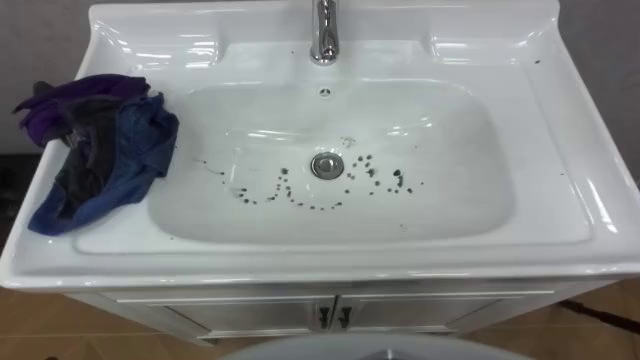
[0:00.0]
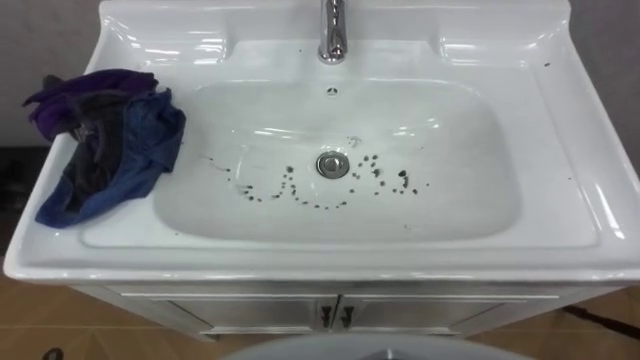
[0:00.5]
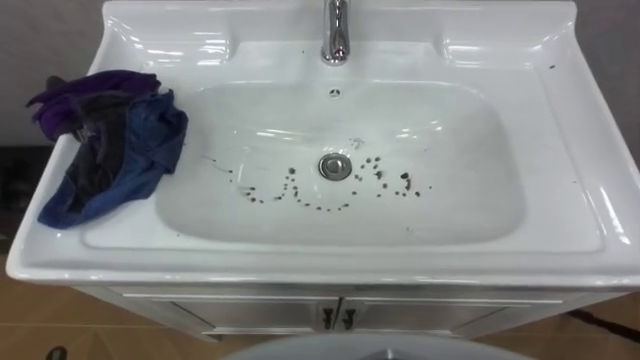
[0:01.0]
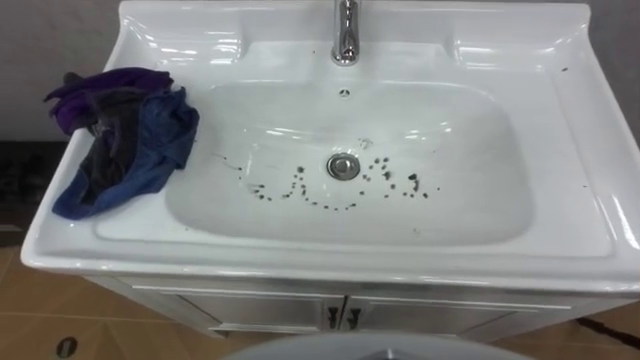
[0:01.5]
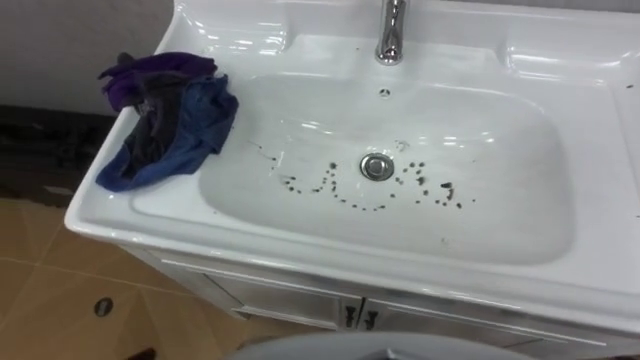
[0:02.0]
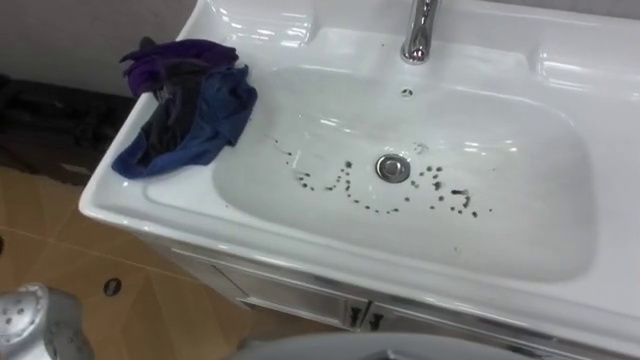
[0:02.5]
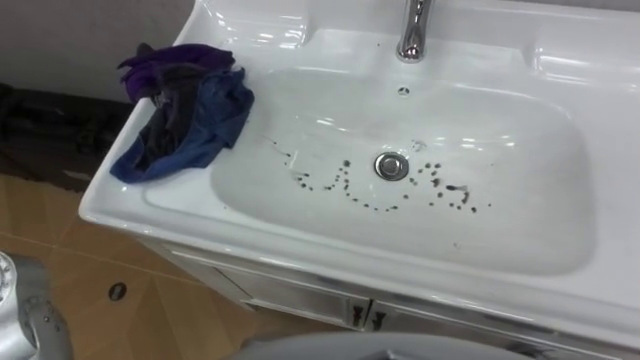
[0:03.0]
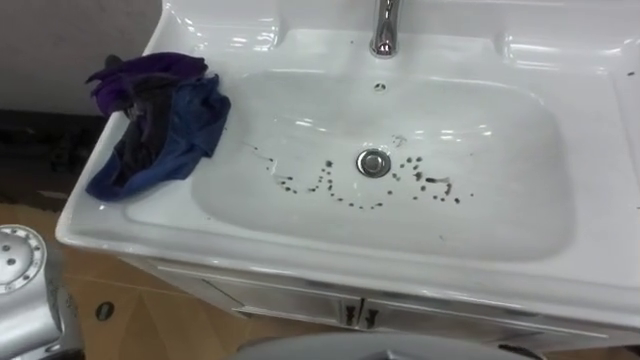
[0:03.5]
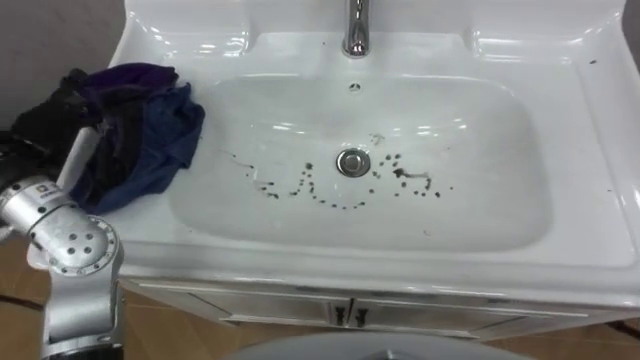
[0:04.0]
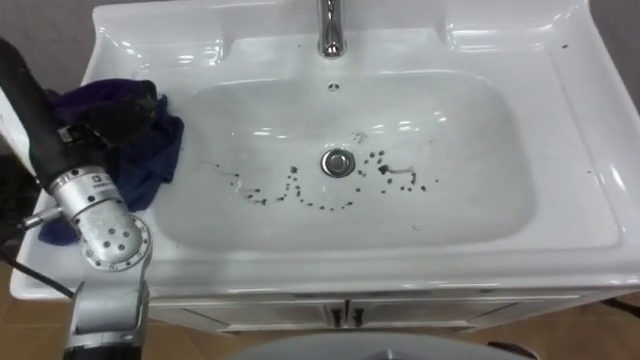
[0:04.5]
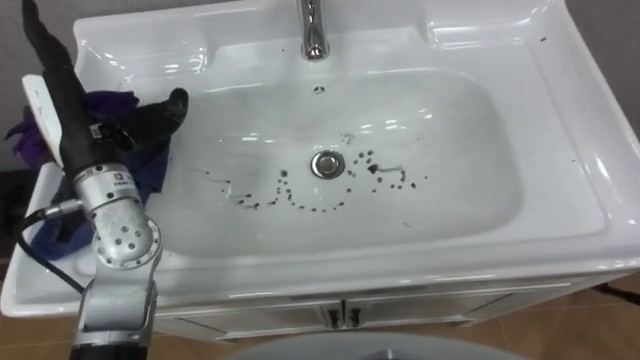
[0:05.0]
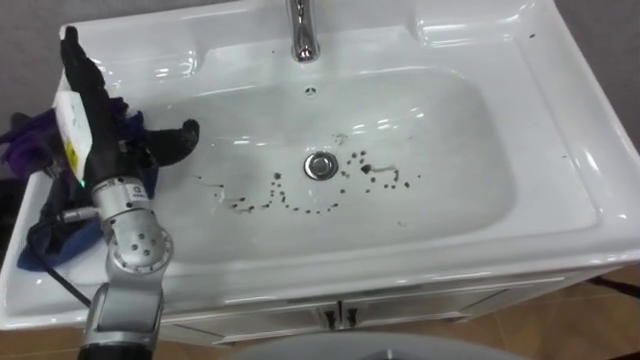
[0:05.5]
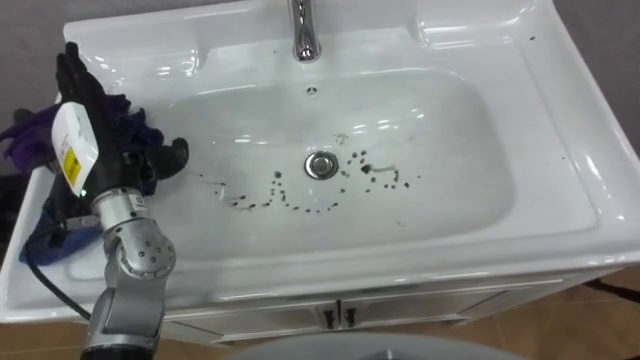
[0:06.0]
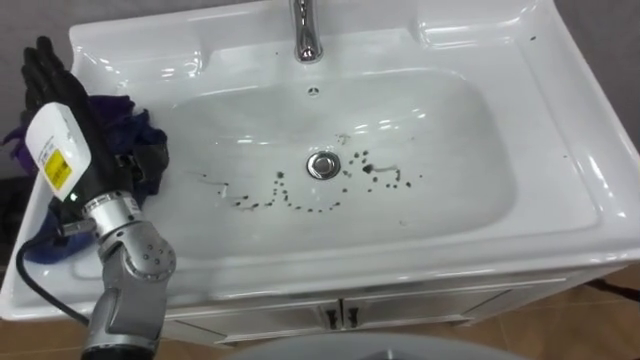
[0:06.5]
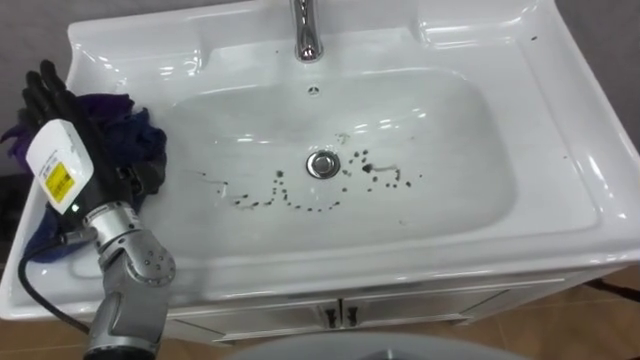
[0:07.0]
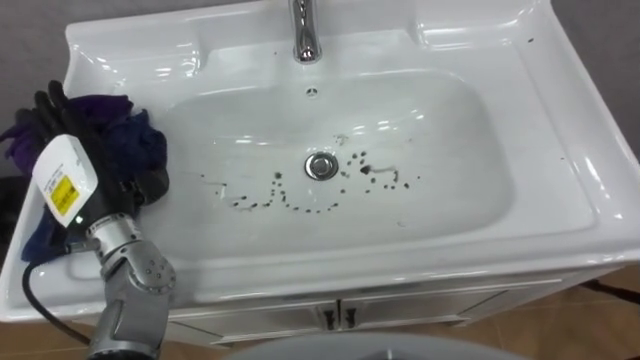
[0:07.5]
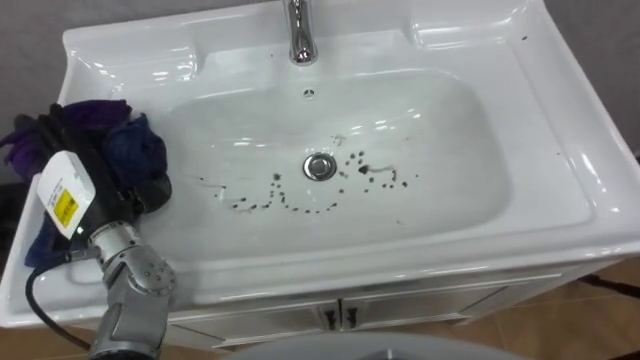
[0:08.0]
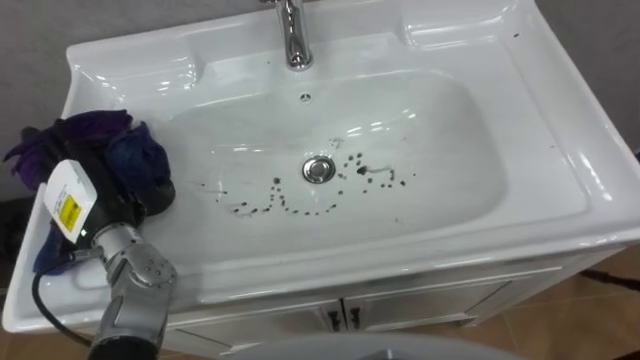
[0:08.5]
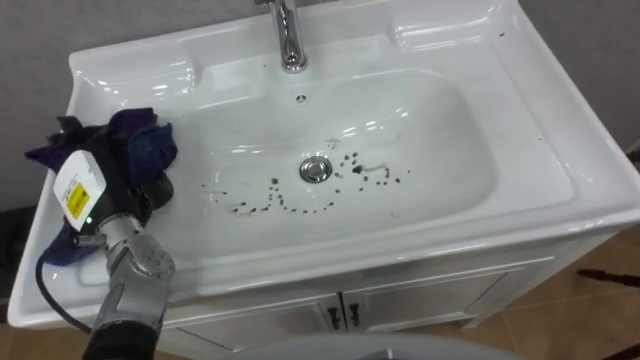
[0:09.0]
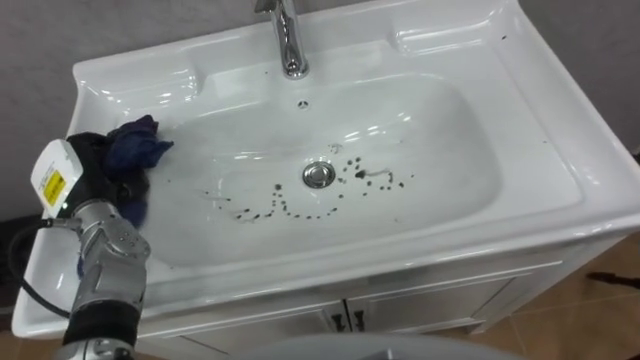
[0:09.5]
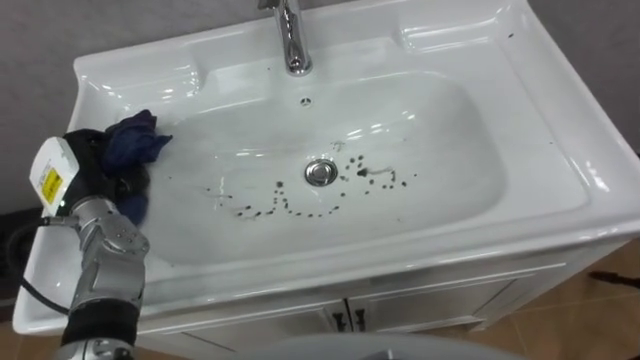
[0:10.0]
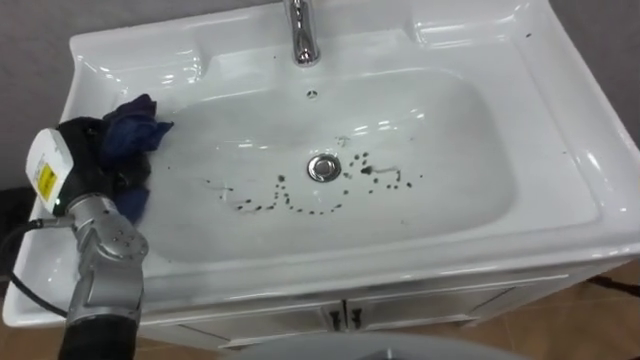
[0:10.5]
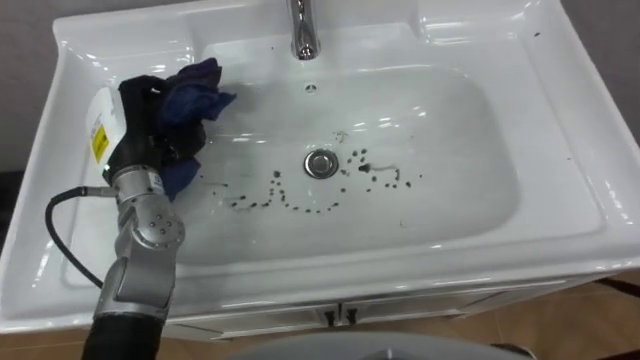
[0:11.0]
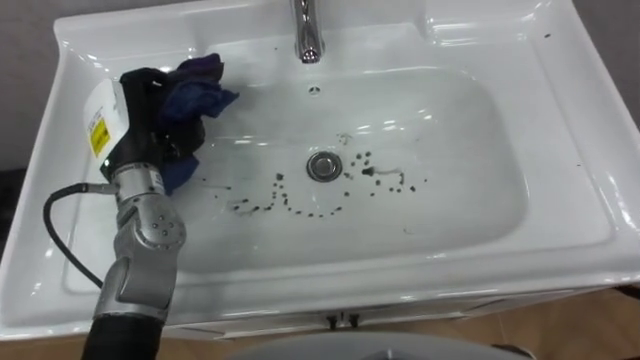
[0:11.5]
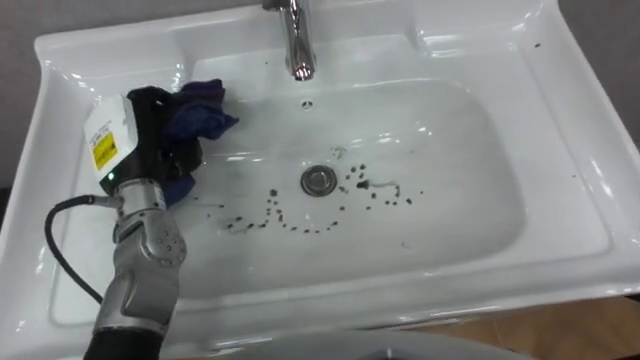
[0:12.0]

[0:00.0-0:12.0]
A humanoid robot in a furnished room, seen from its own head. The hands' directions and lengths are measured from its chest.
Task of the whole recording: Use the cloth on the right to wipe away the black stain in the sink.
0:06.0 to 0:08.0: The left hand travels downward by approximately 5 cm.
0:08.0 to 0:10.0: The left hand shifts by some 5 cm, and closes up.
0:10.0 to 0:12.0: The left hand shifts approximately 10 cm to the right and upward.

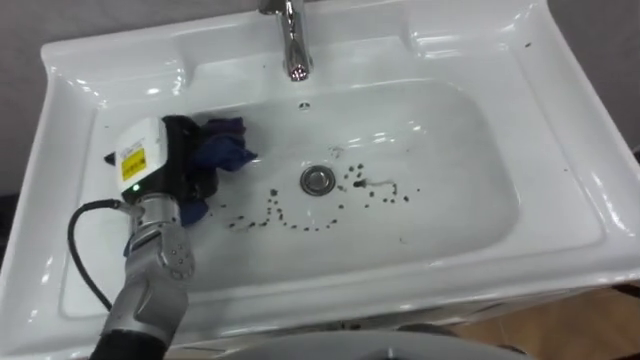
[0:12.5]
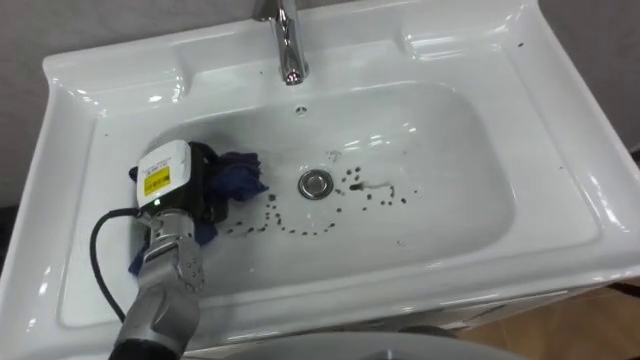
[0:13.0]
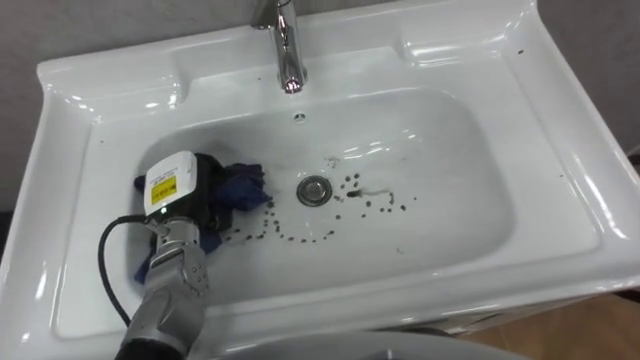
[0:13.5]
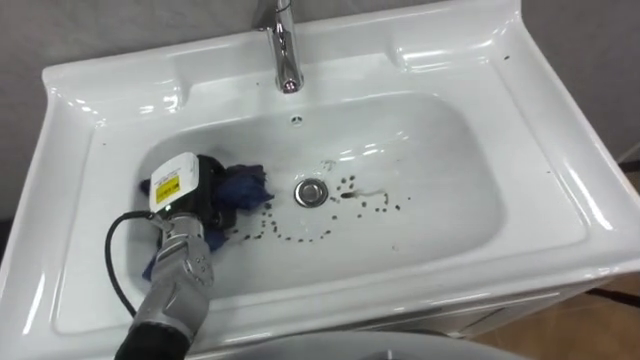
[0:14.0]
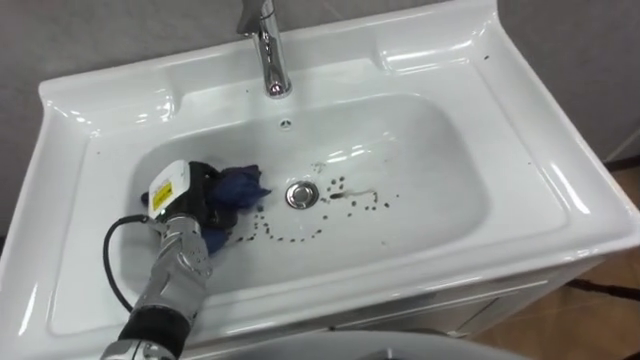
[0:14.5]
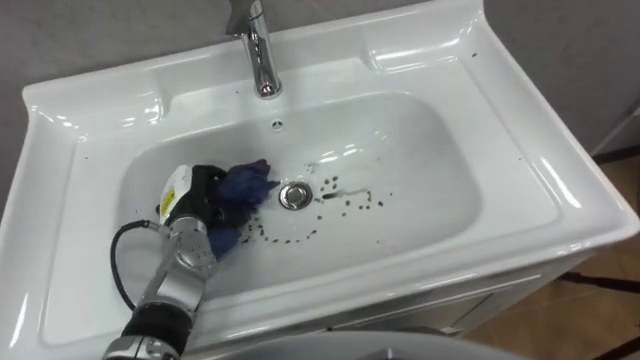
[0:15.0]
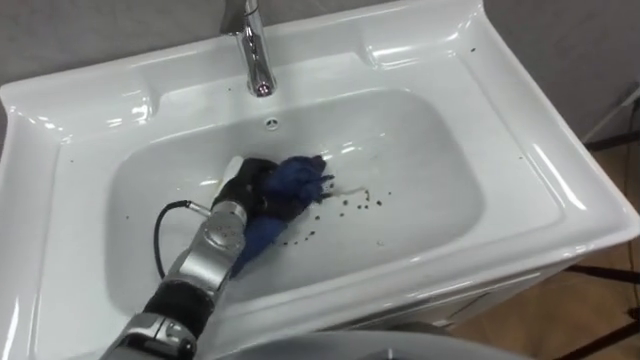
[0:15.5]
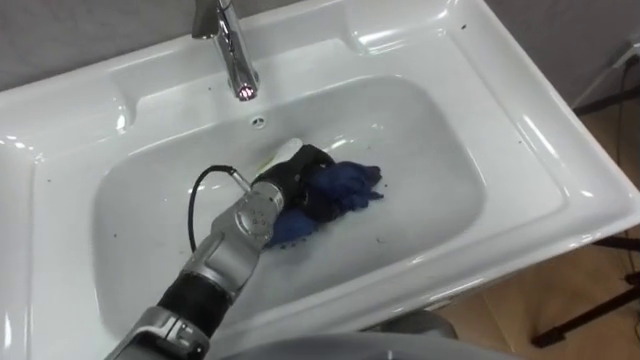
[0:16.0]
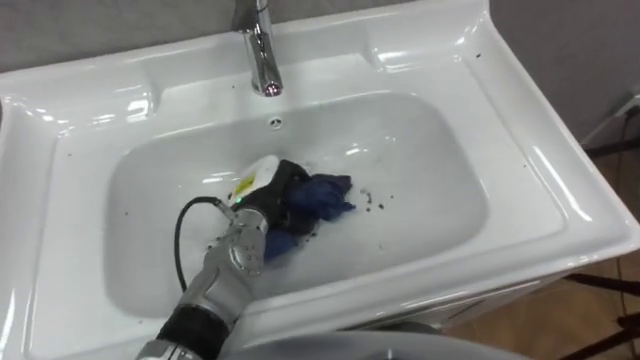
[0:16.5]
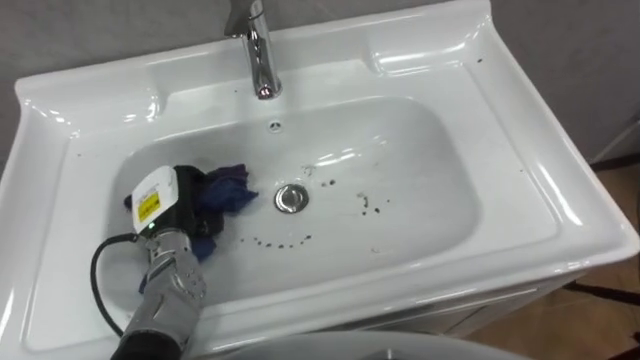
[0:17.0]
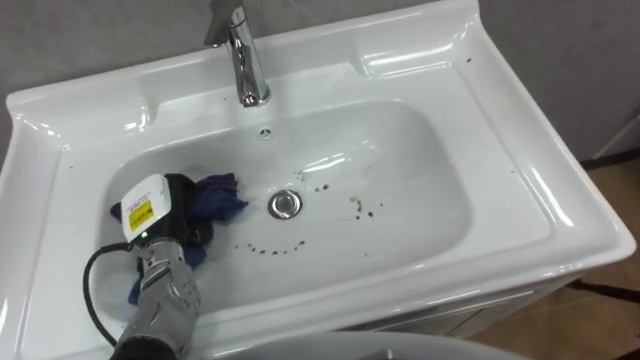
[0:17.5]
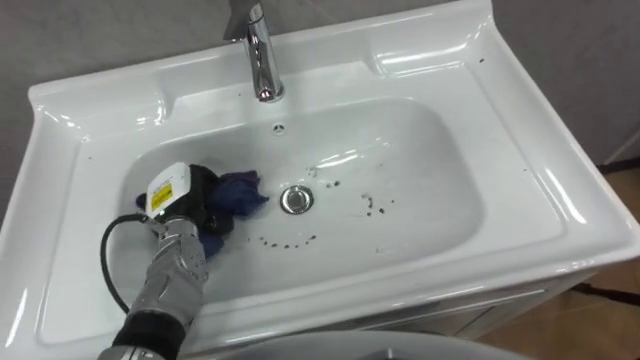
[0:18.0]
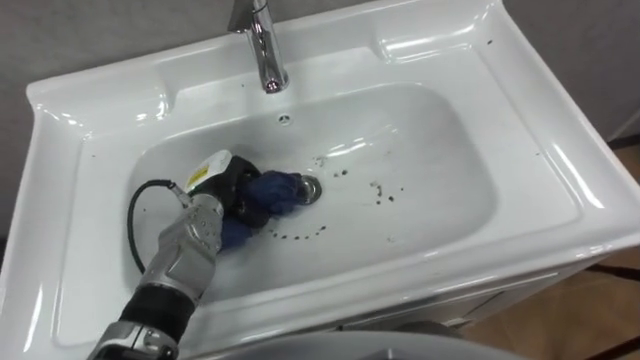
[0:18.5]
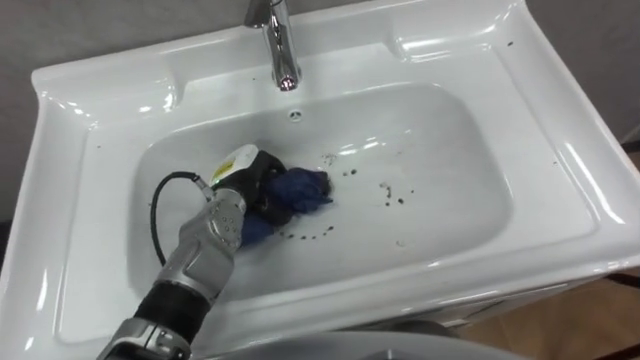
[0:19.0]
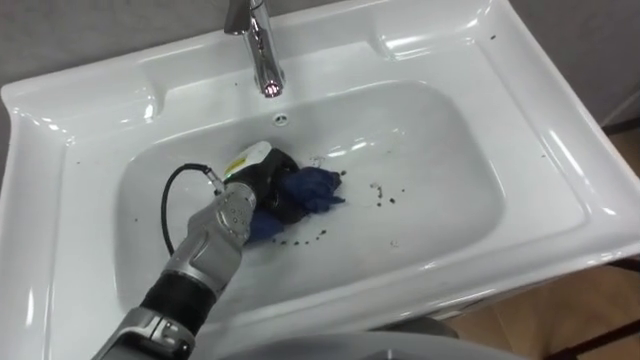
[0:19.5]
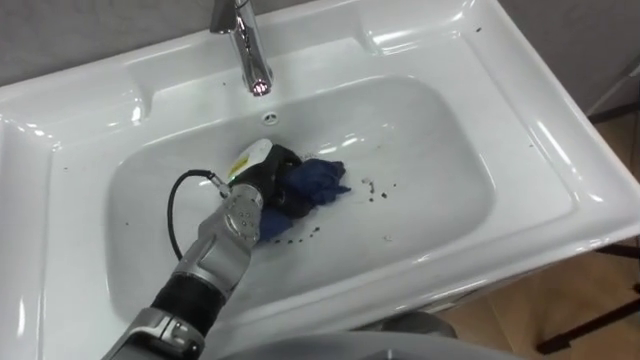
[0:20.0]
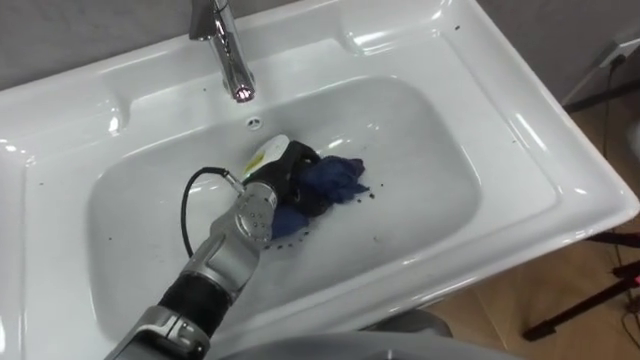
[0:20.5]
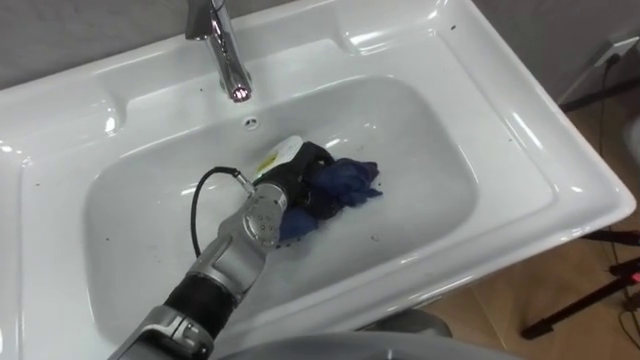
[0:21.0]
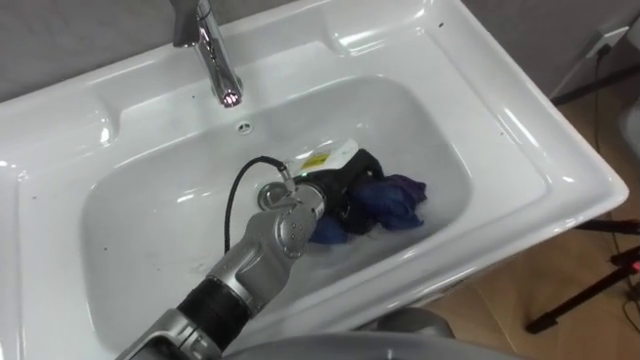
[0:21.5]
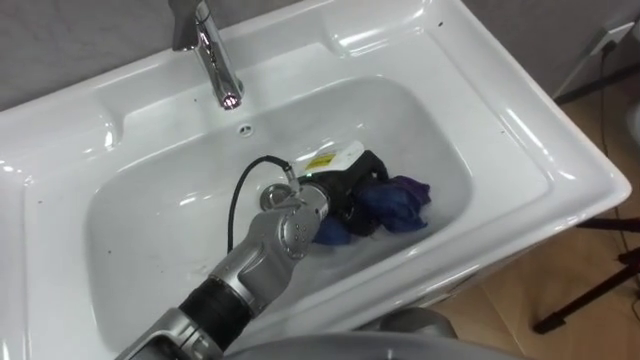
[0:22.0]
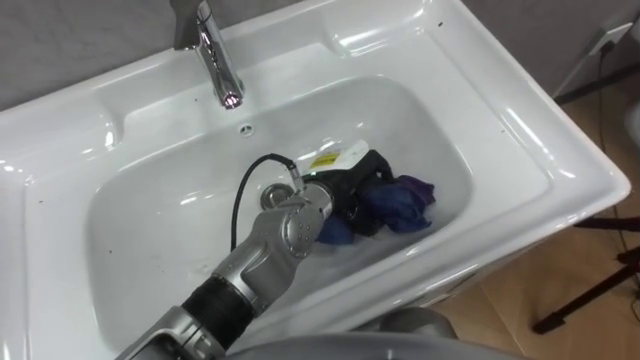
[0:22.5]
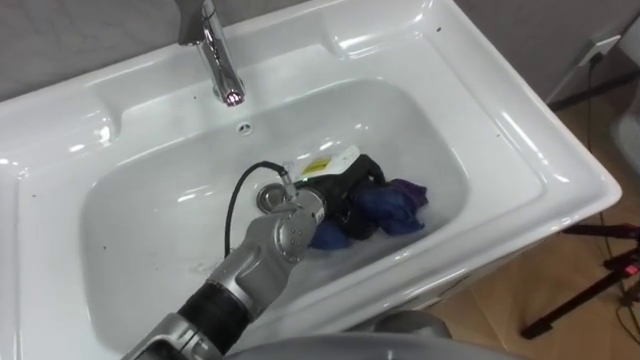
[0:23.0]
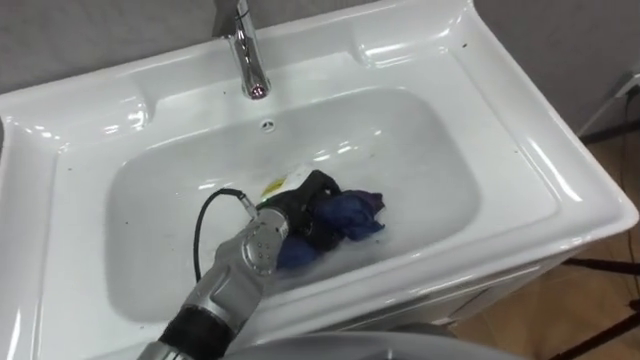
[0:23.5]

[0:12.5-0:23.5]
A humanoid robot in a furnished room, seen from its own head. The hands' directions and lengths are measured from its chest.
Task of the whole recording: Use the cloth on the right to wipe away the black stain in the sink.
0:12.5 to 0:14.5: The left hand travels downward by about 10 cm.
0:14.5 to 0:16.0: The left hand goes roughly 15 cm to the right.
0:16.0 to 0:18.0: The left hand travels to the left by approximately 15 cm.
0:18.0 to 0:20.0: The left hand travels to the right by roughly 10 cm.
0:20.0 to 0:21.5: The left hand travels to the right by some 10 cm.
0:21.5 to 0:23.5: The left hand moves to the left, approximately 5 cm.
